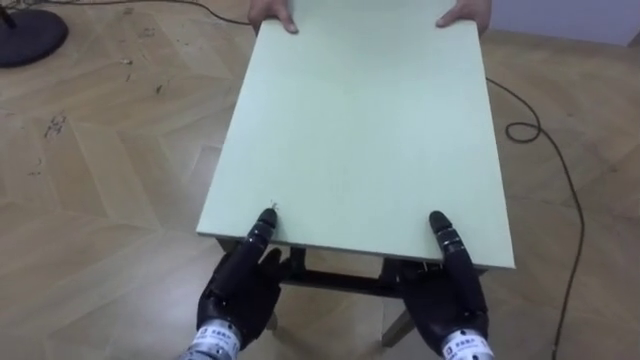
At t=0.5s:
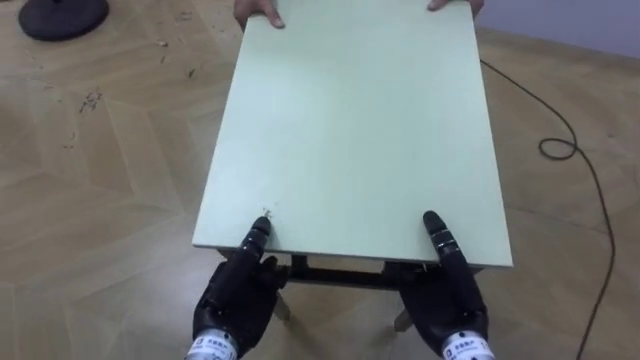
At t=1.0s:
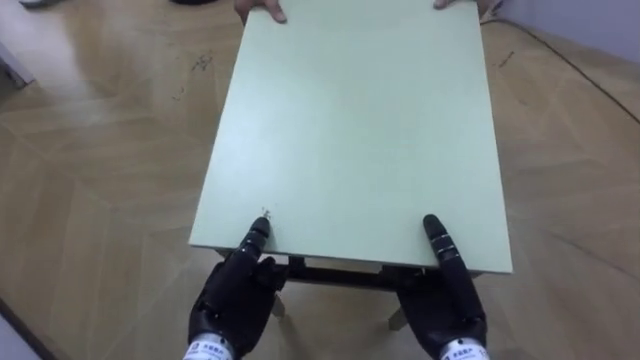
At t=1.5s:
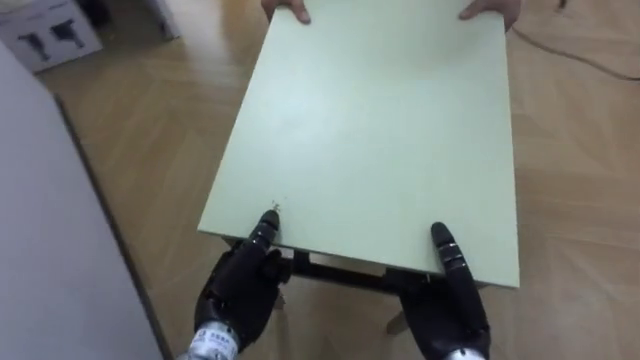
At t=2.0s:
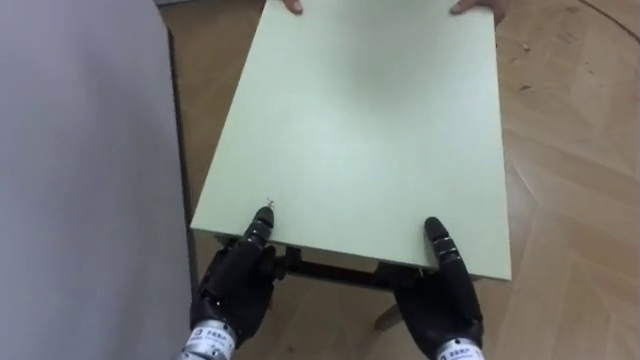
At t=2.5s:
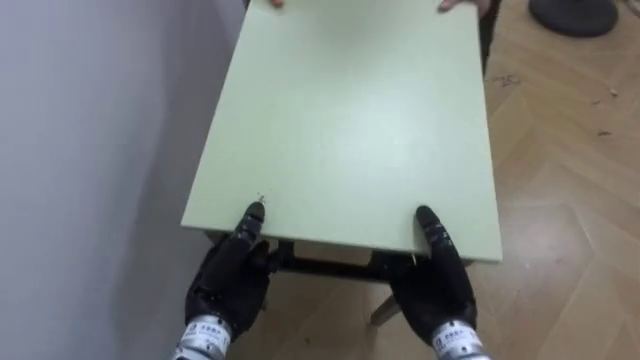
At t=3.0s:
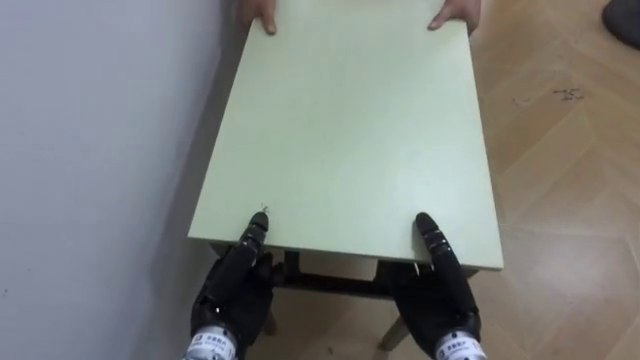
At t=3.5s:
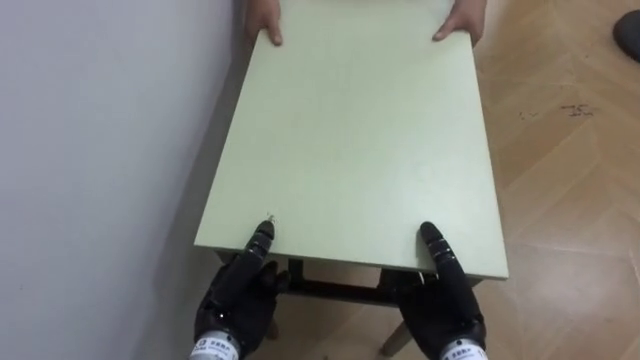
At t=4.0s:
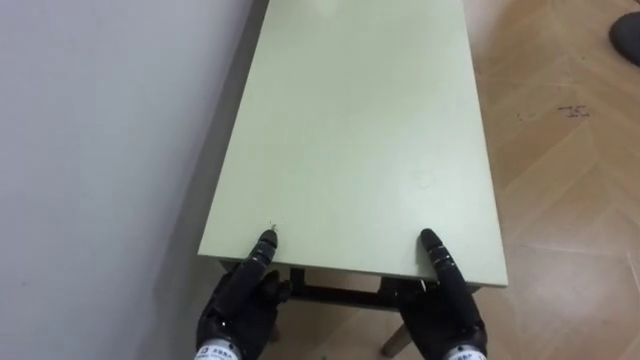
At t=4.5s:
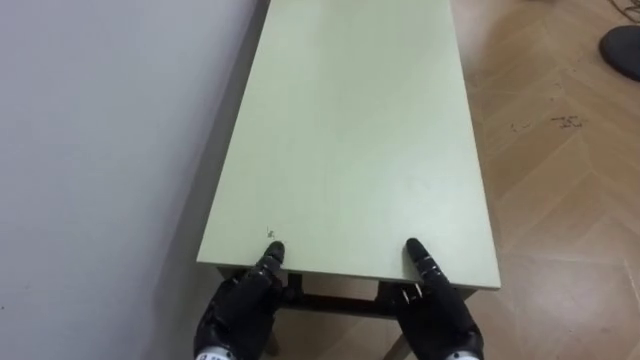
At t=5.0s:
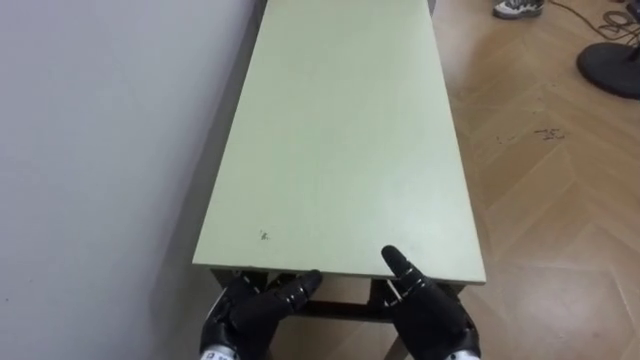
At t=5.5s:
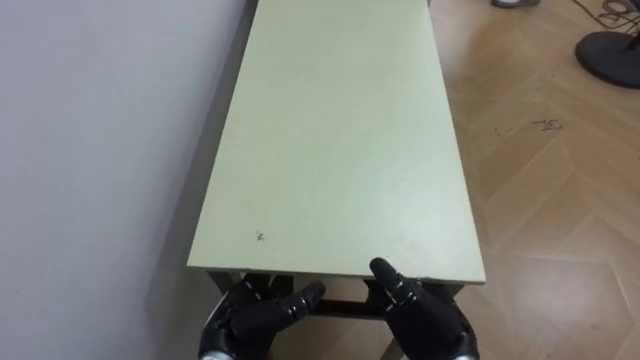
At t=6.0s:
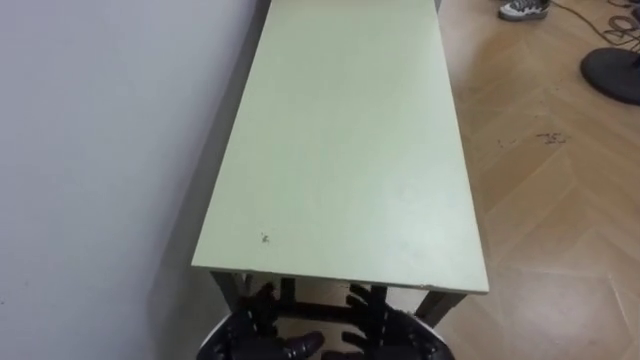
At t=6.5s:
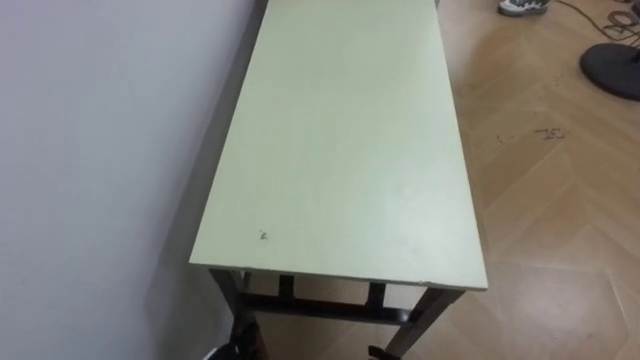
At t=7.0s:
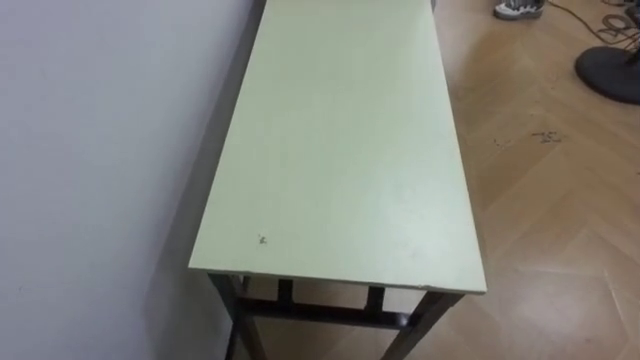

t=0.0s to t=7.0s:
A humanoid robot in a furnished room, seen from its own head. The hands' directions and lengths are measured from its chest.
Task of the whole recording: Move the table to the back left with someone.
t=0.0s to t=2.0s: The robot rotates about 60 degrees to its left.
t=2.0s to t=3.5s: The robot faces approximately 25 degrees further to its left.
t=3.5s to t=5.0s: The left hand opens. Meanwhile the right hand opens up.

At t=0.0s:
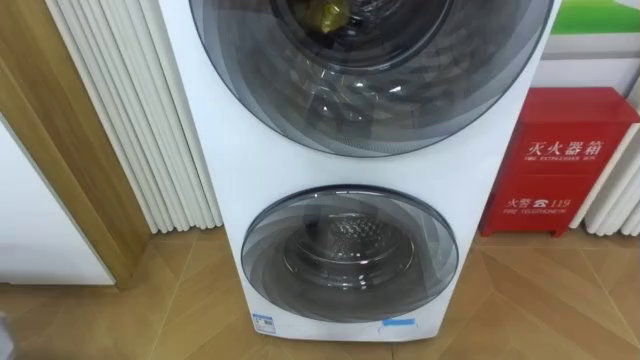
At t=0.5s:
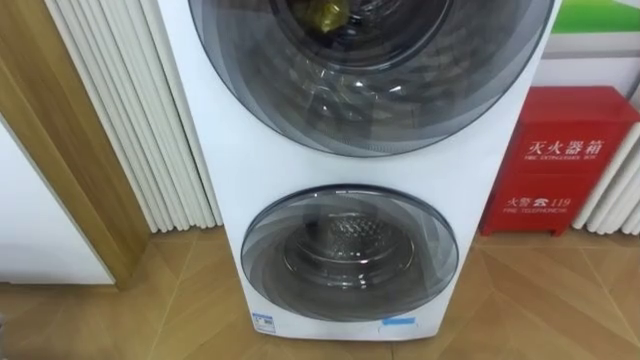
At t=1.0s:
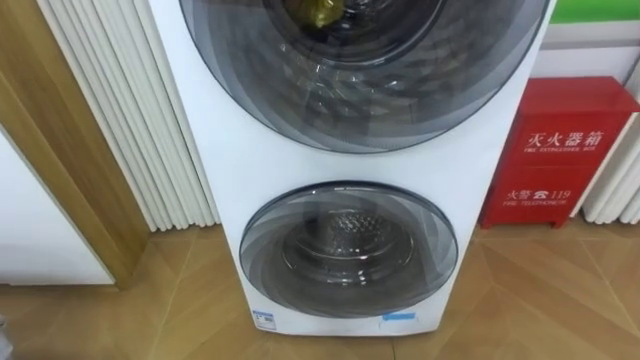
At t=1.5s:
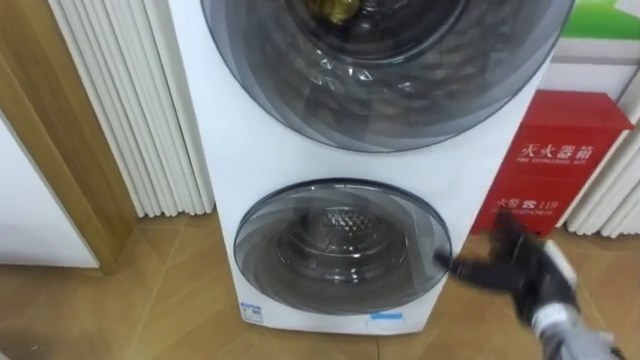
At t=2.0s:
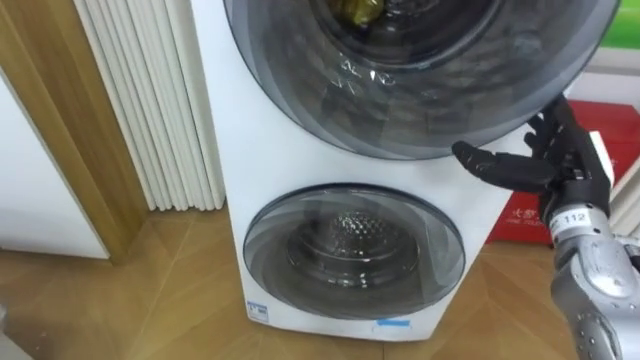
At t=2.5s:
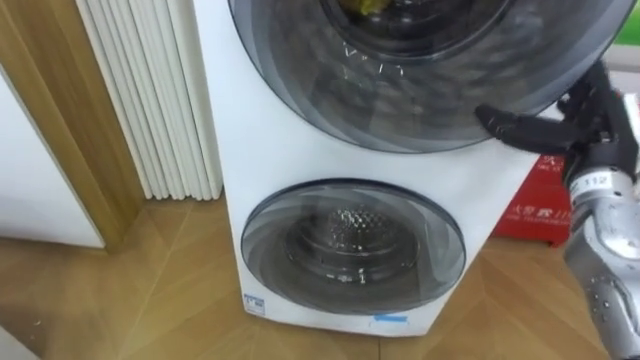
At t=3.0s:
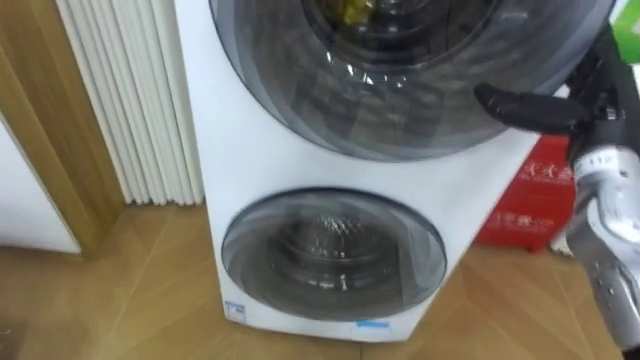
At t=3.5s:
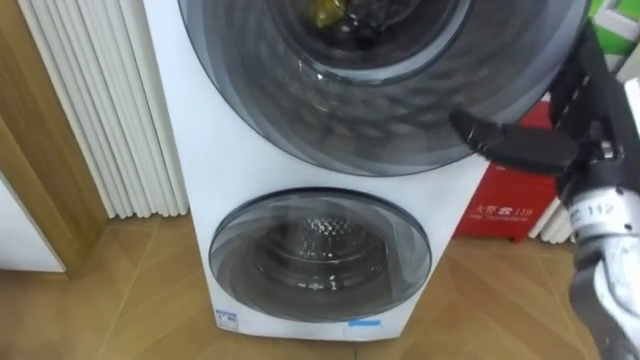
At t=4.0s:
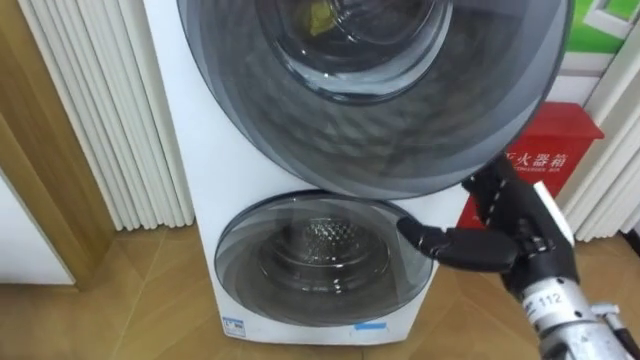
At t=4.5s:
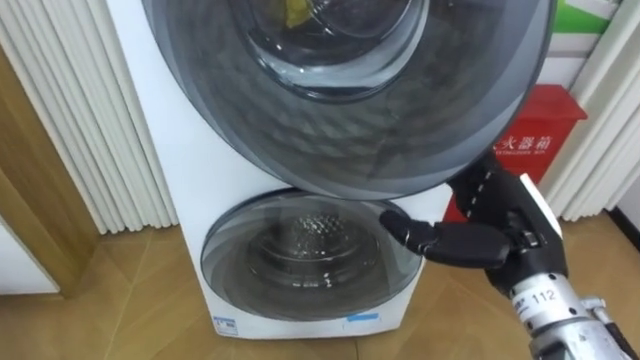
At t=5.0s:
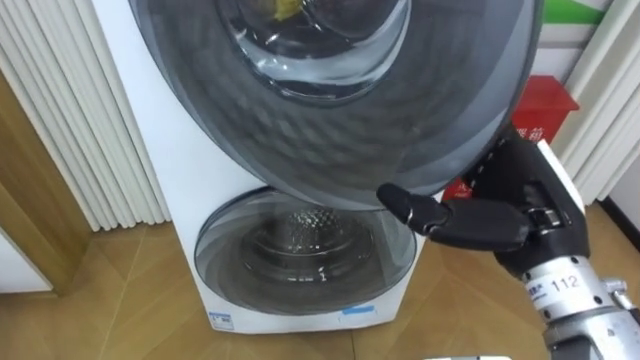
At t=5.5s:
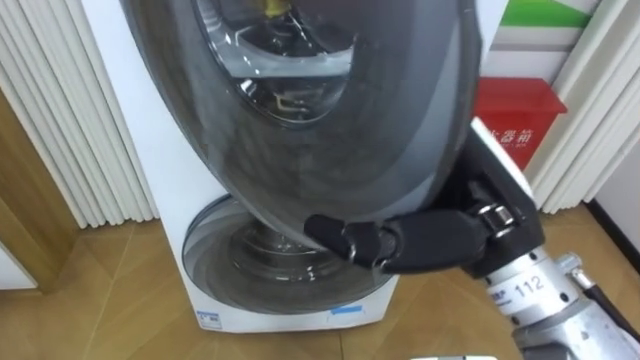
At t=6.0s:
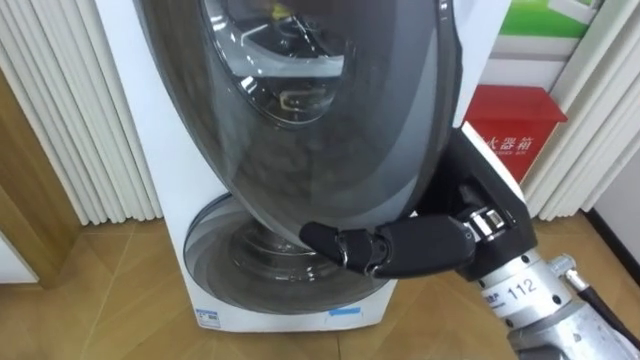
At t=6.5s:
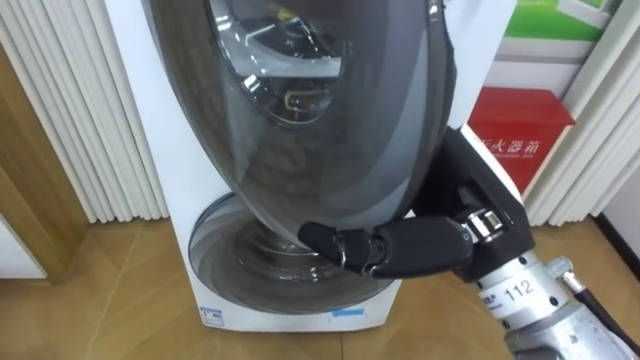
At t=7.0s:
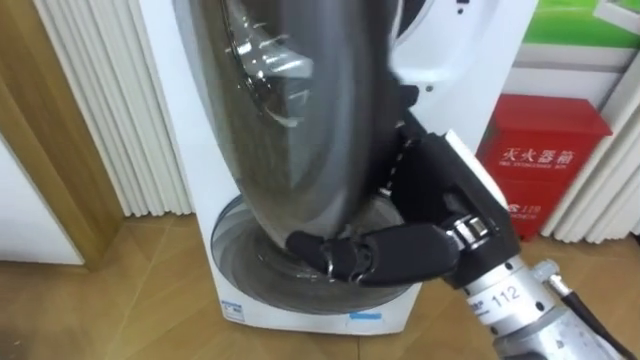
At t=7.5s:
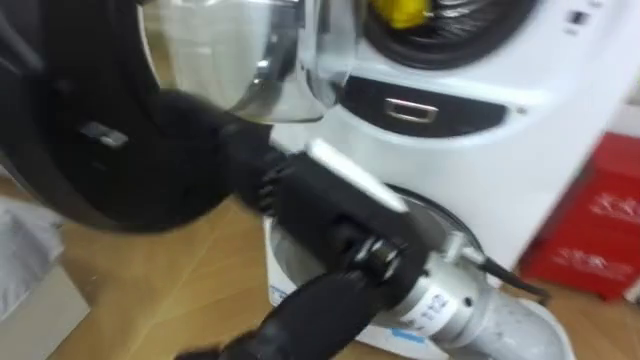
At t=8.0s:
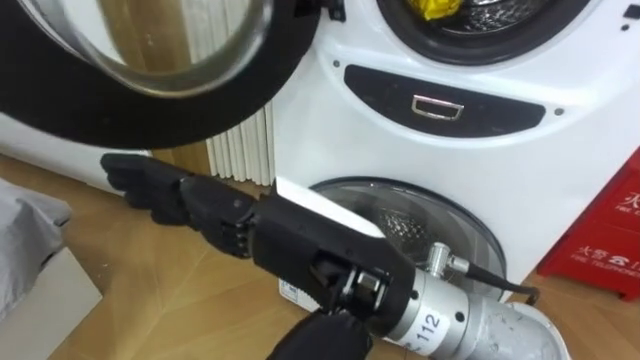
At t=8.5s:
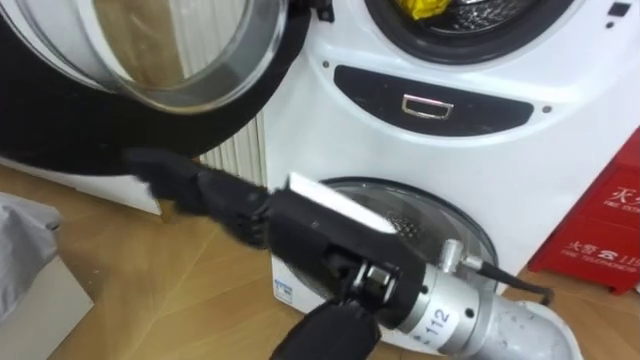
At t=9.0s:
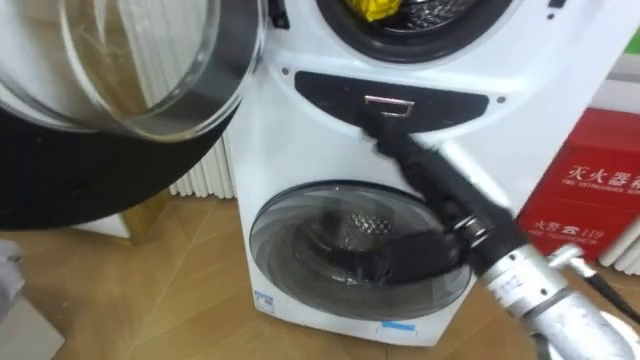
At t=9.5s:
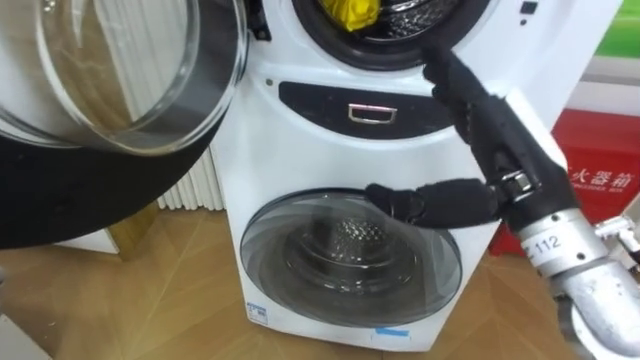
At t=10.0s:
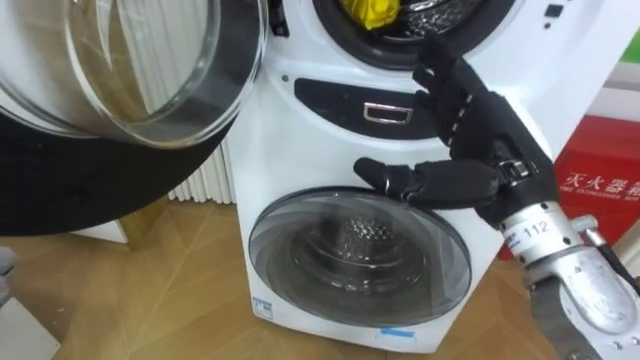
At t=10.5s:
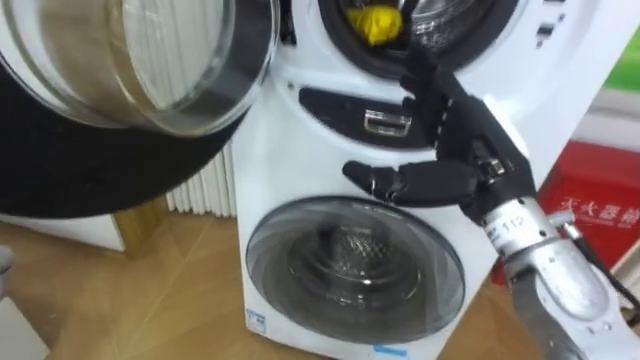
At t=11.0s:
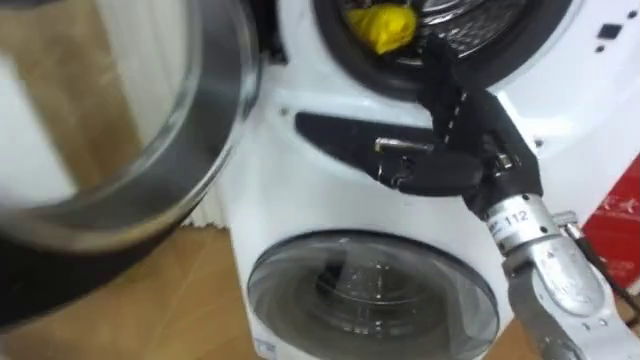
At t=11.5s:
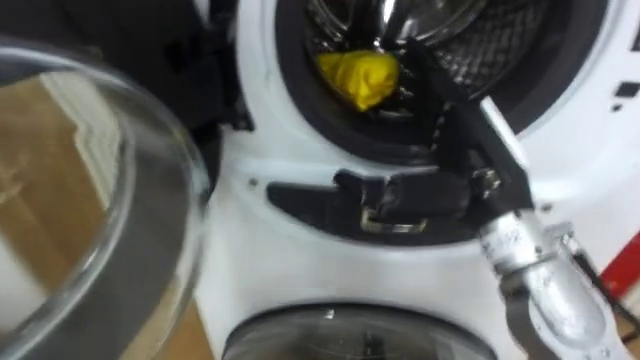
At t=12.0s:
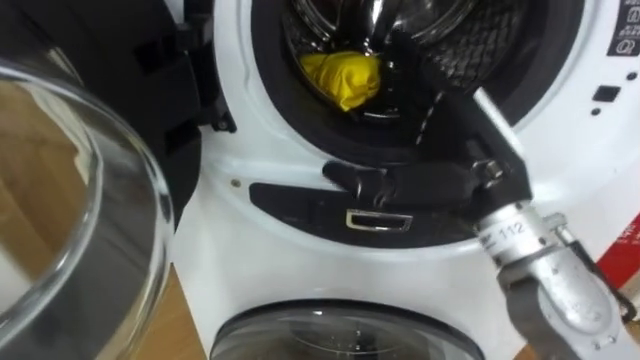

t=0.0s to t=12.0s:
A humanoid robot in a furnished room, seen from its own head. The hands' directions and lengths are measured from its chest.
Task of the whole recording: Open the washing machine door, take out the yellow clothes, place them in the box on the right, and close the washing machine door.
t=2.0s to t=4.0s: The right hand heads backward and to the left, covering roughly 10 cm, and reaches some 5 cm upward, then returns.
t=4.0s to t=6.0s: The right hand heads to the left and upward, covering about 15 cm.
t=6.0s to t=8.0s: The right hand shifts roughly 10 cm to the left and backward.
t=8.0s to t=10.0s: The right hand heads to the right and forward, covering about 20 cm.

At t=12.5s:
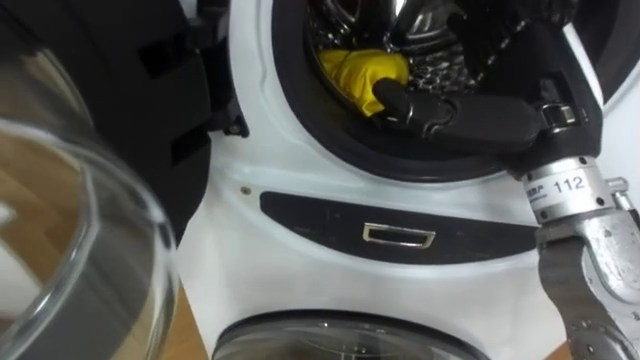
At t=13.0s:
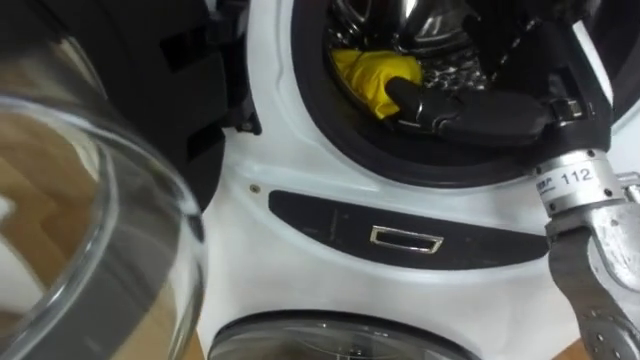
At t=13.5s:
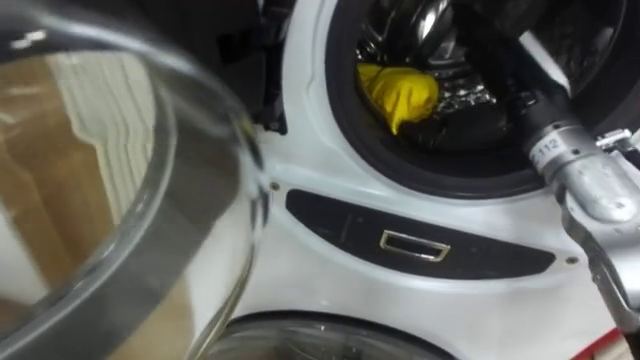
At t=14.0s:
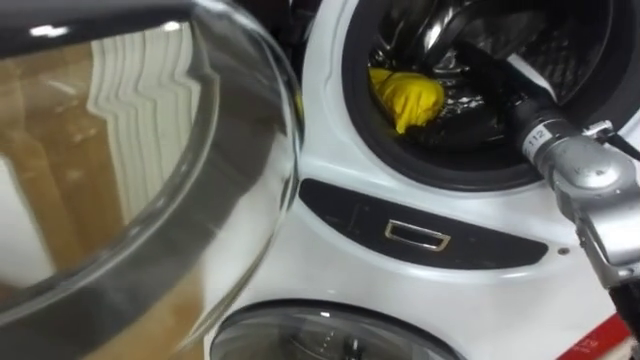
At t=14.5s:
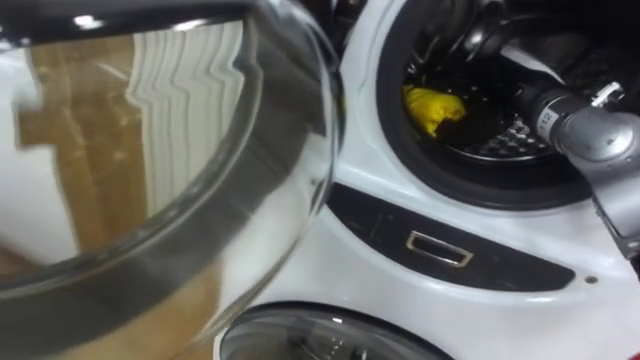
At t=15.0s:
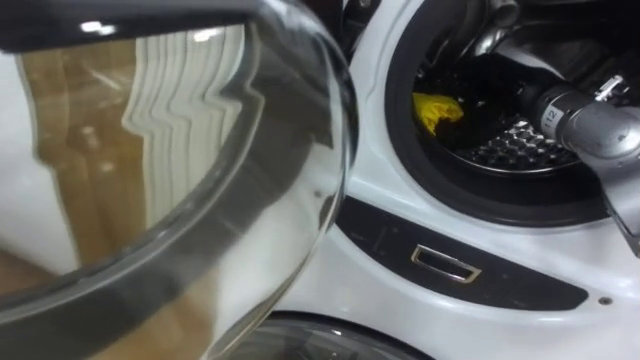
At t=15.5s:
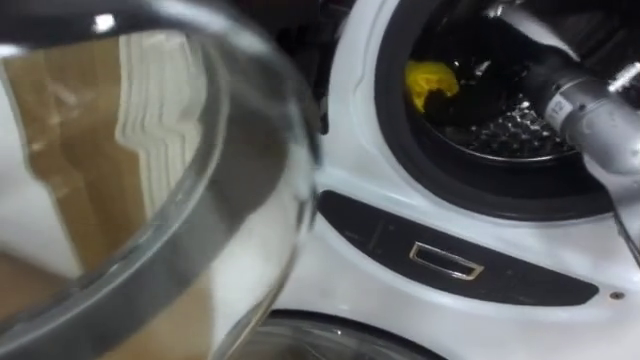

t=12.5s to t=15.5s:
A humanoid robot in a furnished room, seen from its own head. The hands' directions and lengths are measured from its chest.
Task of the whole recording: Open the washing machine door, take out the yellow clothes, place them in the box on the right, and close the washing machine door.
t=12.5s to t=14.0s: The right hand moves forward and downward, approximately 15 cm.
t=14.0s to t=15.5s: The right hand is displaced upward by roughly 5 cm, and closes its fingers.
